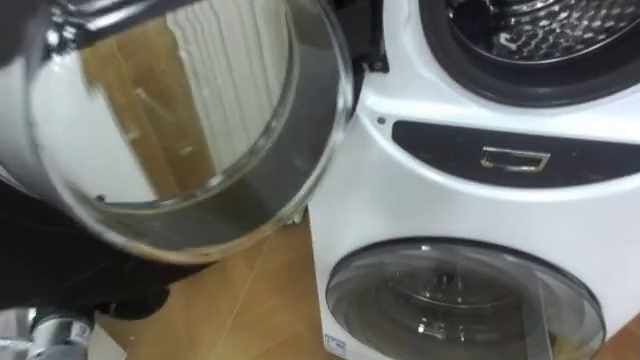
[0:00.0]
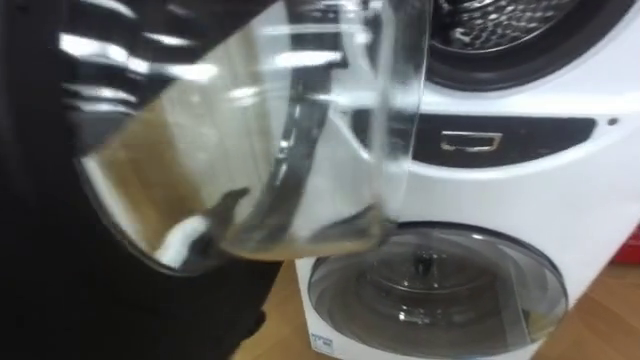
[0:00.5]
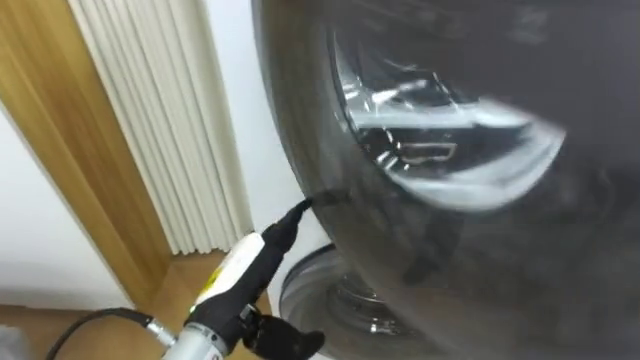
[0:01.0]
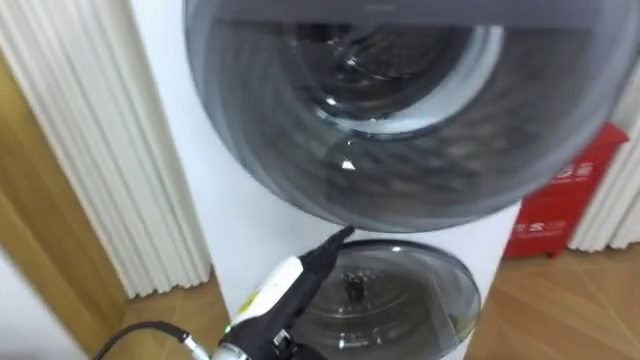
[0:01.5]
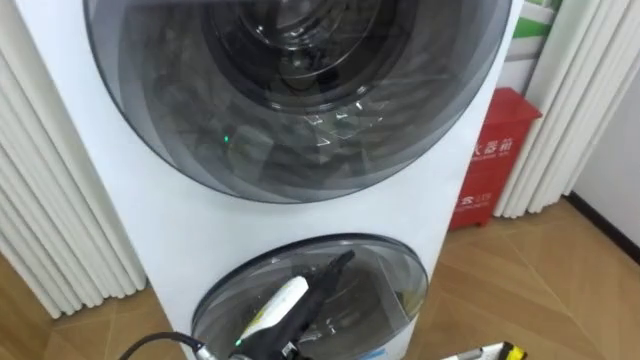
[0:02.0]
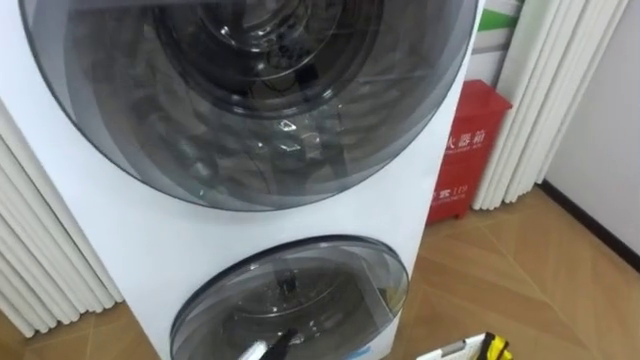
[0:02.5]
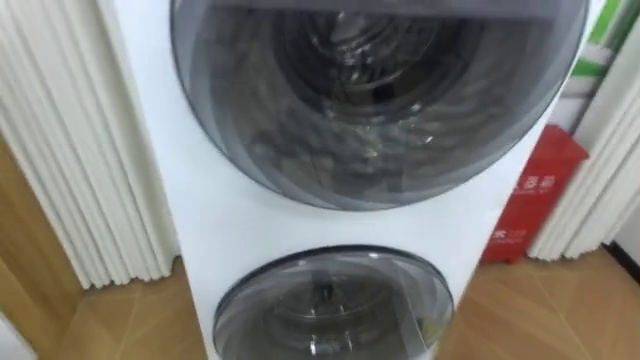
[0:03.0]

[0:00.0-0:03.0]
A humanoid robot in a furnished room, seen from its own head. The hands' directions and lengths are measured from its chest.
Task of the whole recording: Open the washing machine door, take out the yellow clothes, place them in the box on the right, and close the washing machine door.
0:00.0 to 0:01.5: The left hand shifts approximately 20 cm to the right.

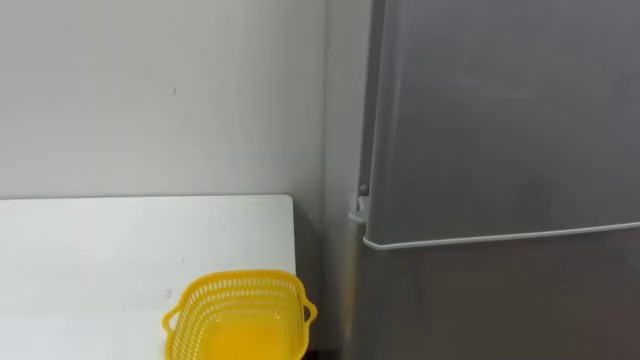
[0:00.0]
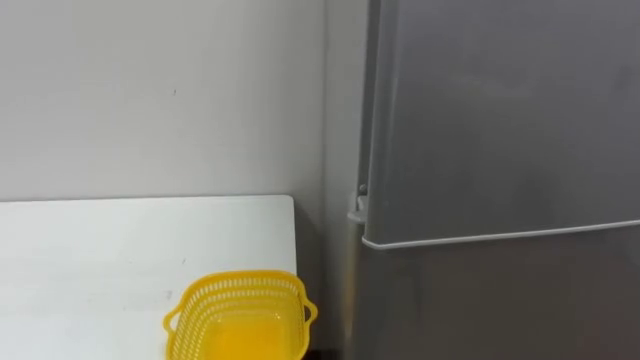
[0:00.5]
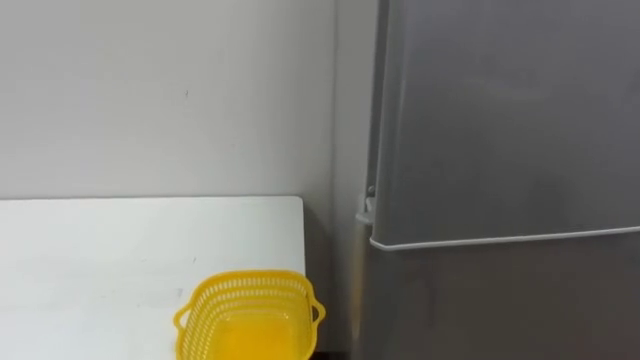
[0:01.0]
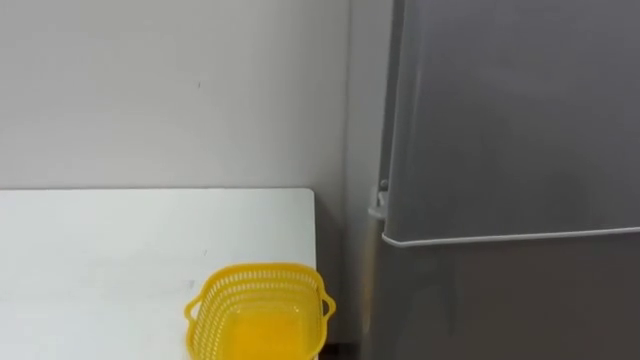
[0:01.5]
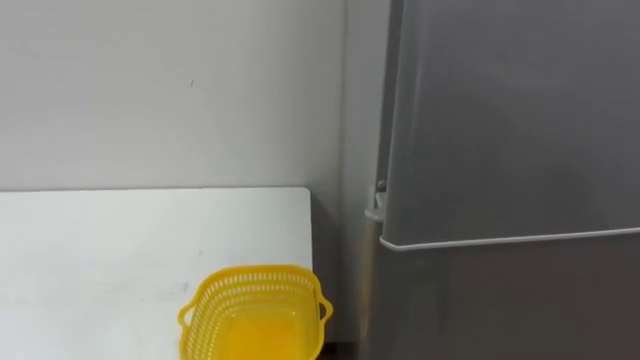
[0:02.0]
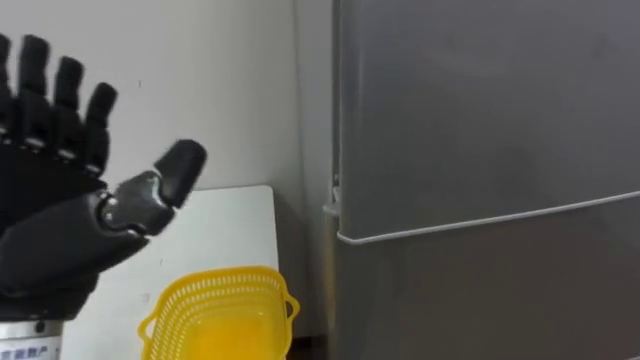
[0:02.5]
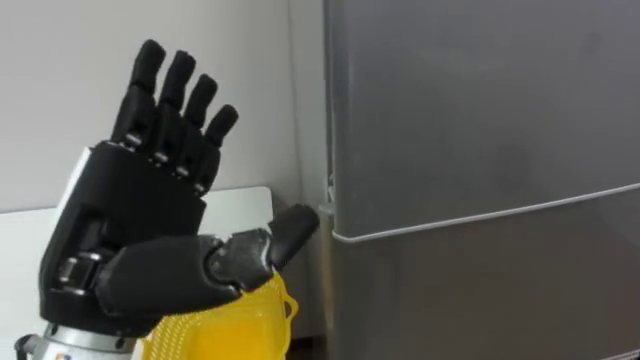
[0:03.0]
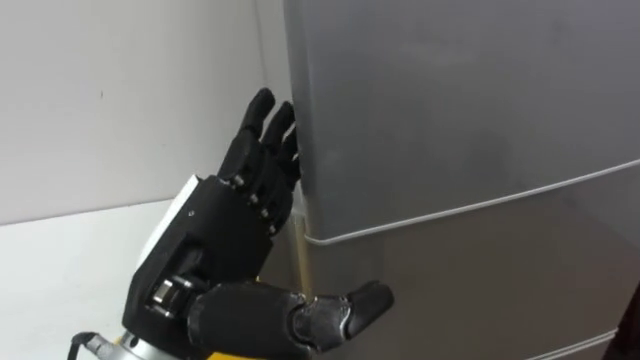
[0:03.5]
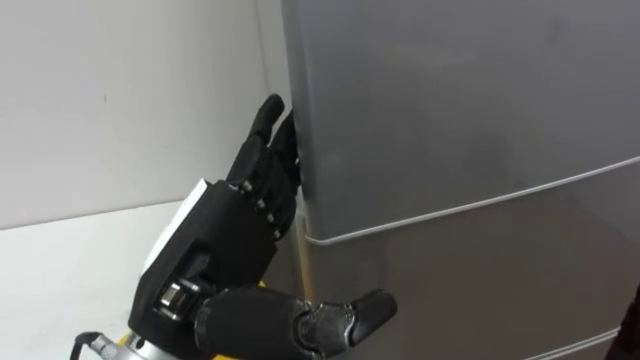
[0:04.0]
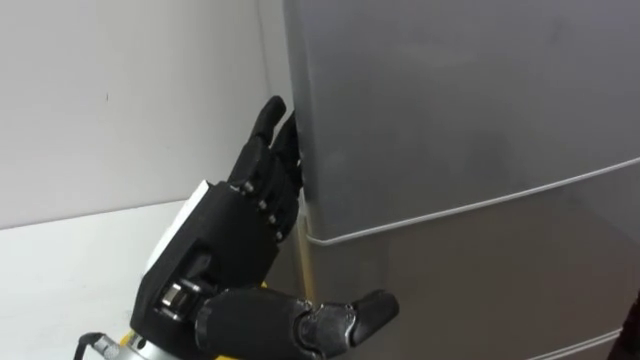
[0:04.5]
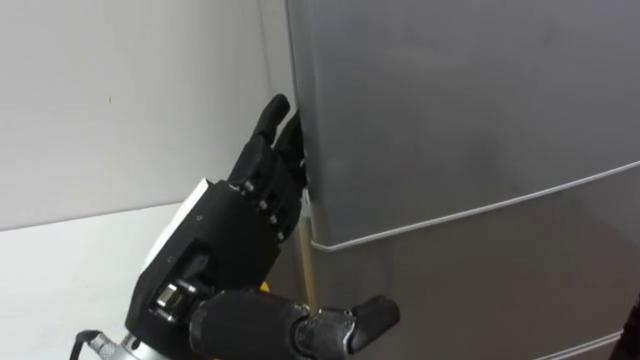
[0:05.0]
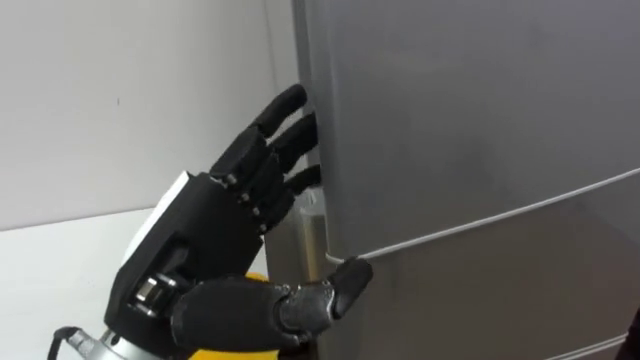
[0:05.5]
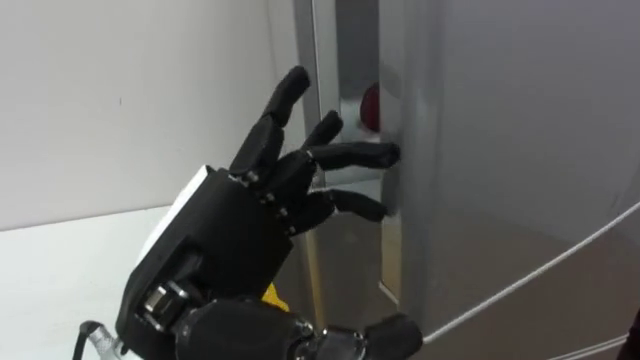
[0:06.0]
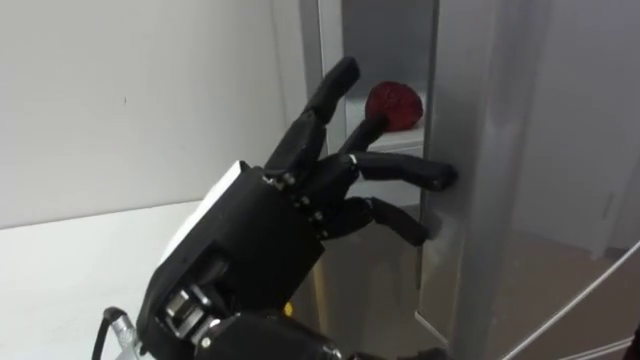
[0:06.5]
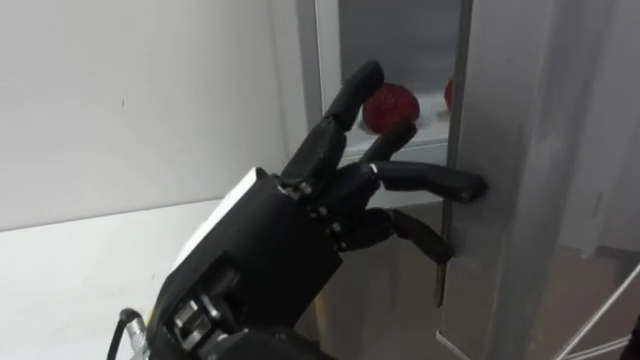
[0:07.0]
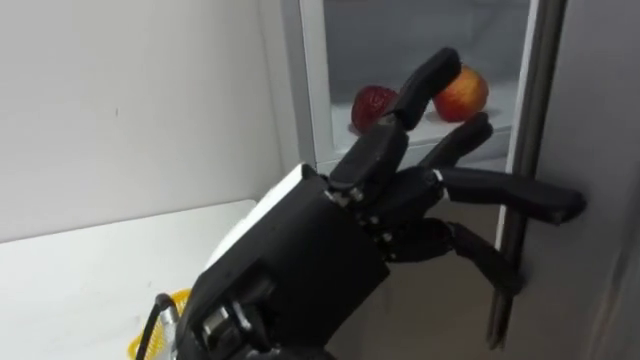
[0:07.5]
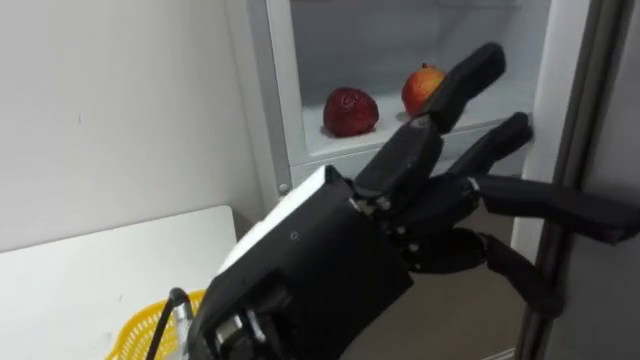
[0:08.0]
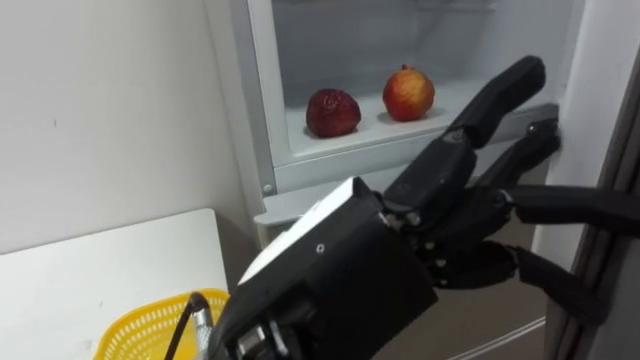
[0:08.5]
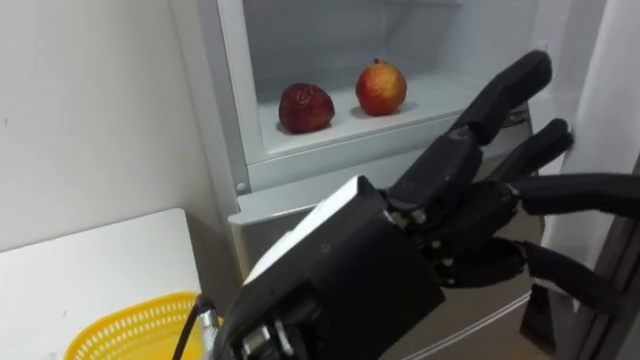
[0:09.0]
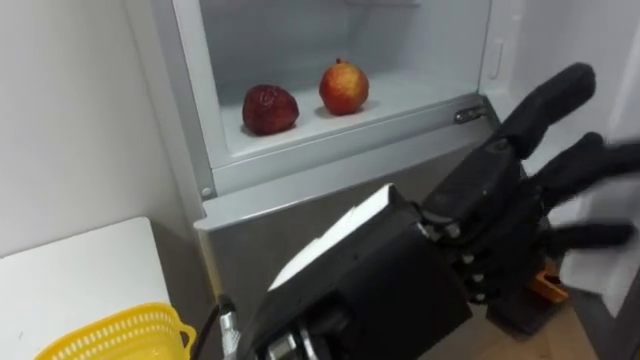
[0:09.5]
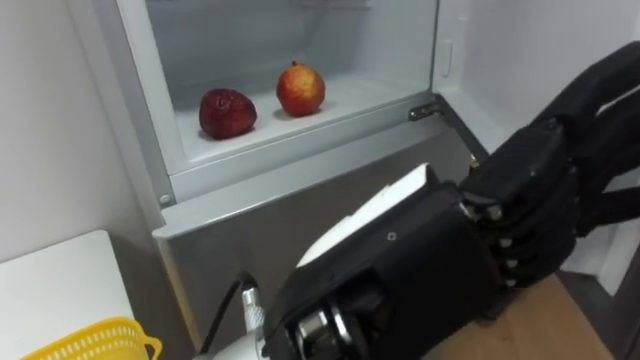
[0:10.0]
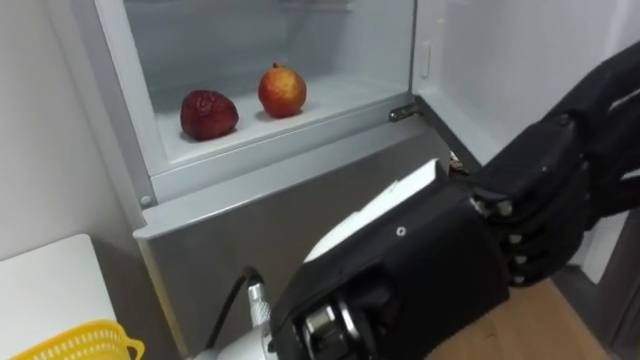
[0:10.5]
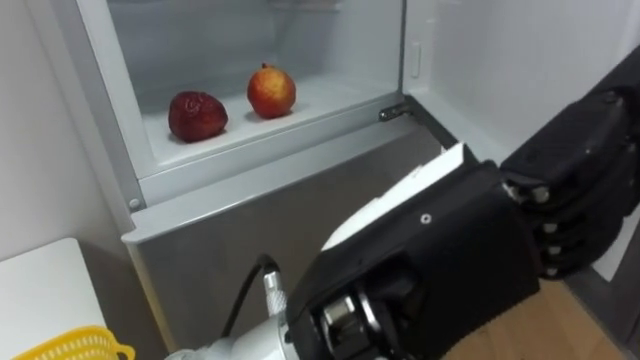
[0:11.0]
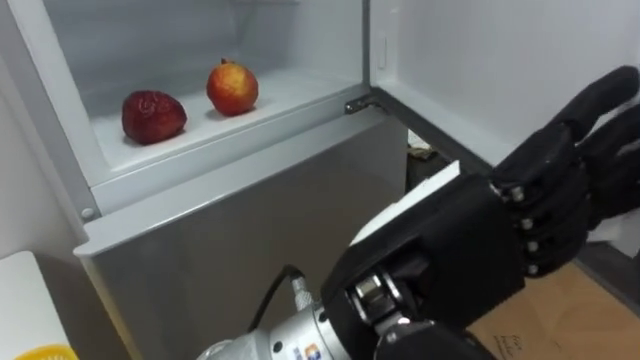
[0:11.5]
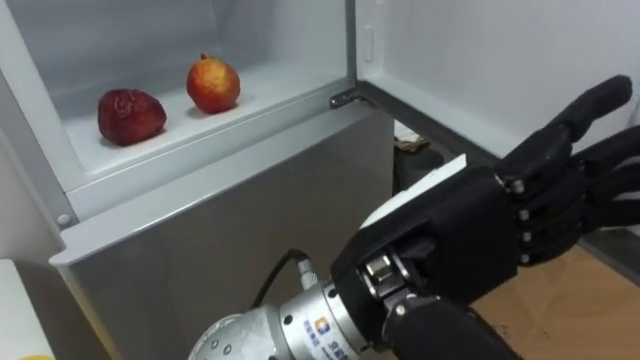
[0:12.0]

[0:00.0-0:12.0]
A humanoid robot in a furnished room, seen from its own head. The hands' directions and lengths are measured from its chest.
Task of the whole recording: Open the refrigerator door, take out the apple and the pomegranate, place them in the fruit basket on the left, and close the refrigerator door.
0:06.0 to 0:08.0: The left hand is displaced to the right by about 5 cm.
0:10.0 to 0:12.0: The left hand ends up approximately 5 cm from where it was.

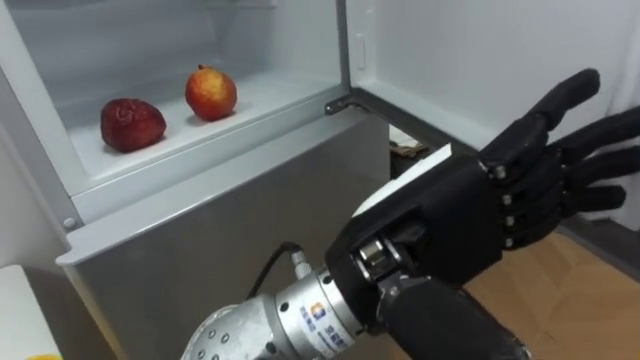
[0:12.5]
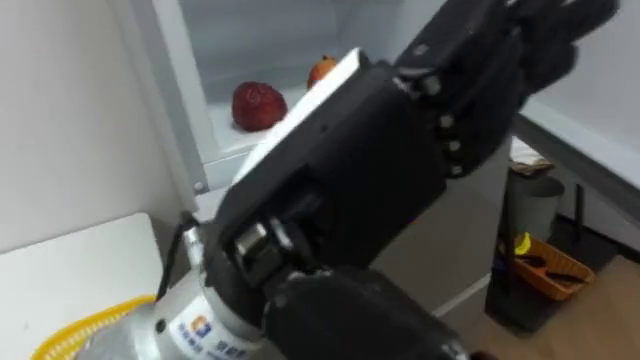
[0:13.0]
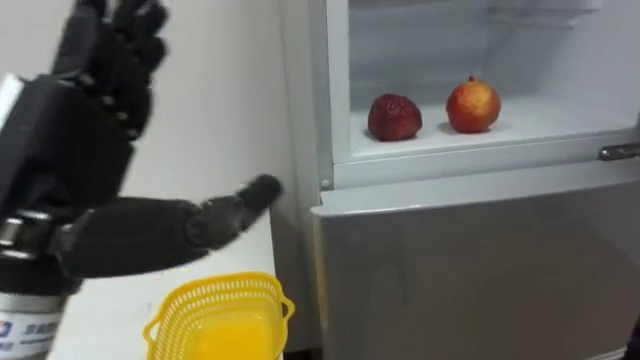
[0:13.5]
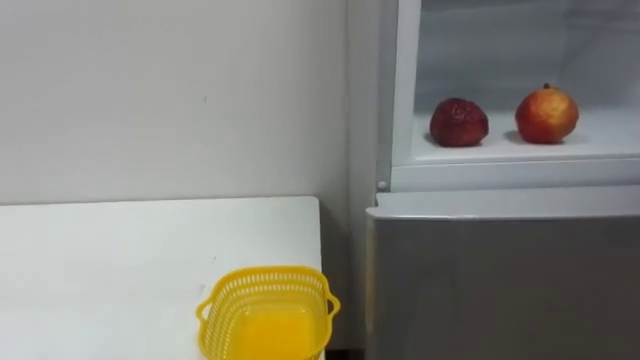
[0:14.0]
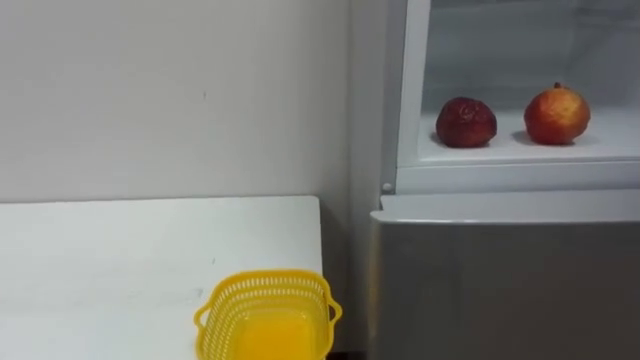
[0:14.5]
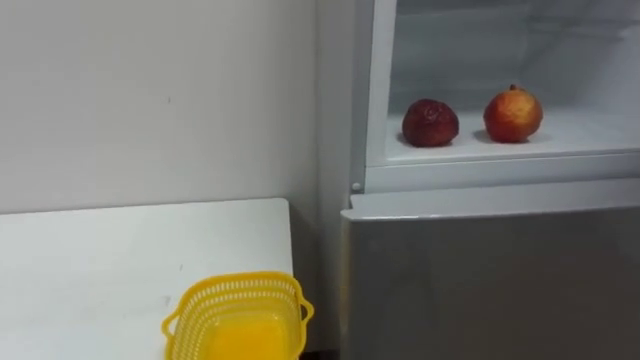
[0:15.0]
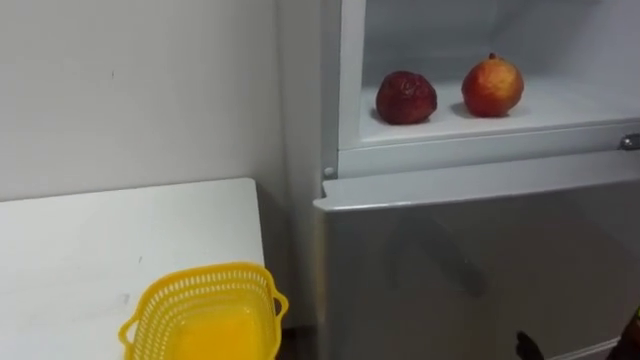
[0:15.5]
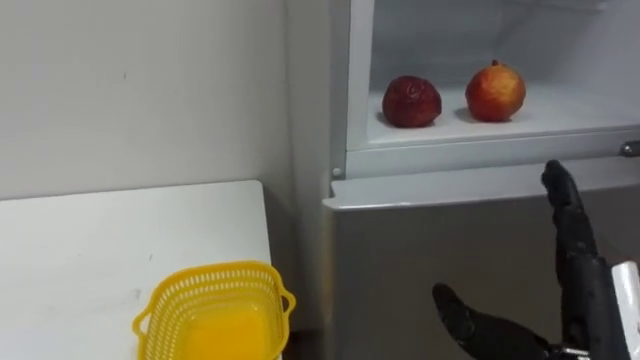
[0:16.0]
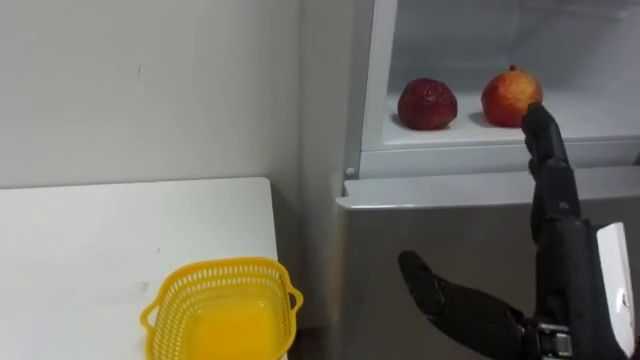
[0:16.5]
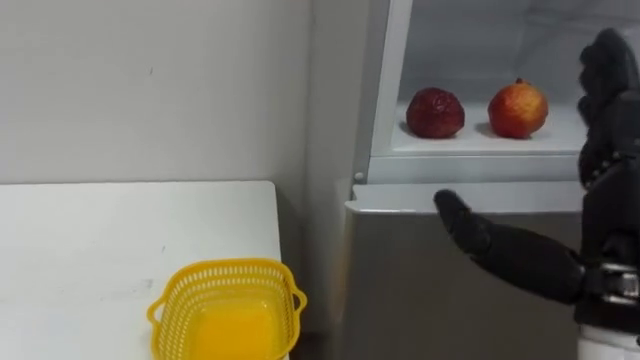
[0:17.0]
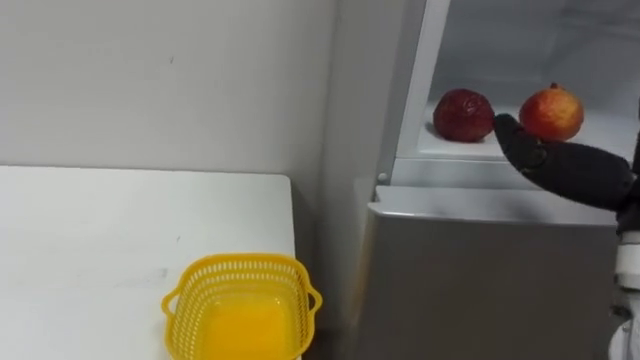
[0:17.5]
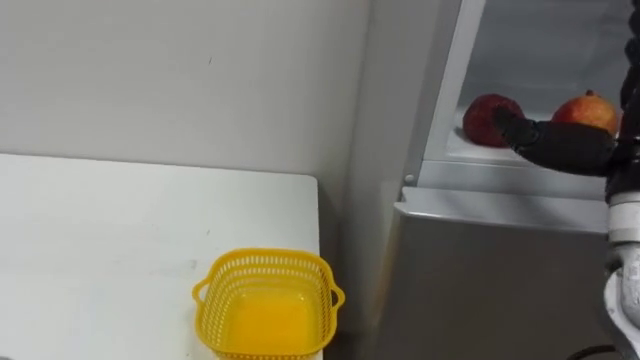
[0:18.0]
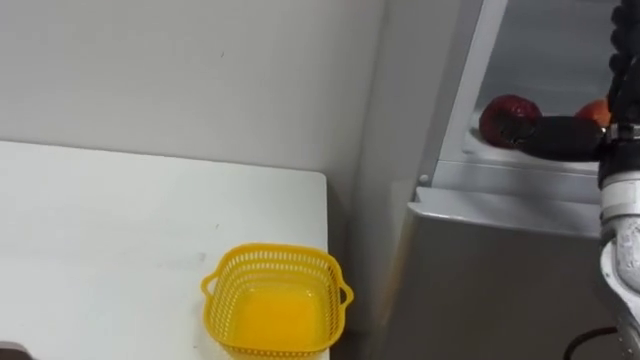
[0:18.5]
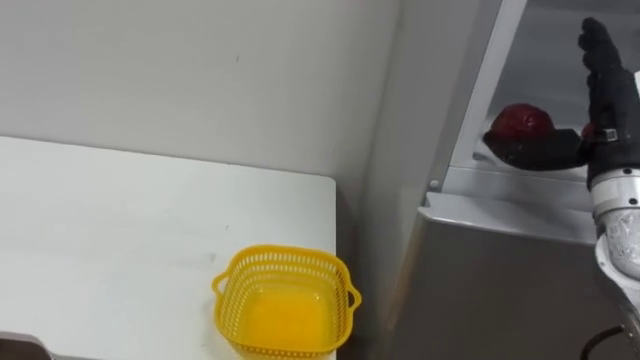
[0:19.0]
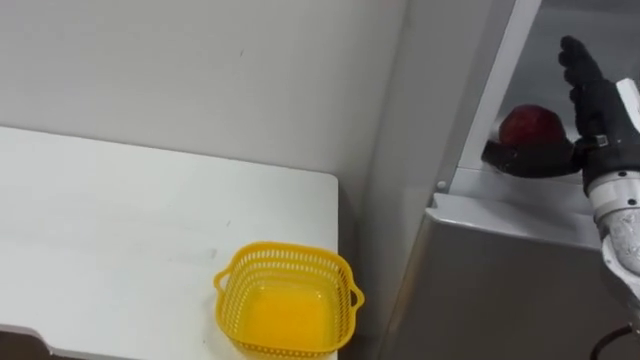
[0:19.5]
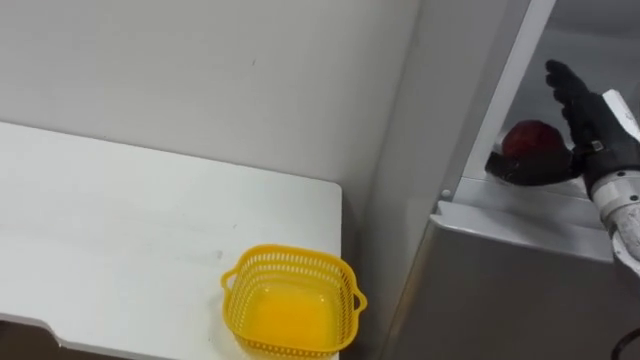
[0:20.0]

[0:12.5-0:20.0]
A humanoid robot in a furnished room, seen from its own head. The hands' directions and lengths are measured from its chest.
Task of the whole recording: Open the refrigerator door, take out the apple and the pomegranate, place them in the fruit basket on the left, and close the refrigerator door.
0:18.0 to 0:20.0: The right hand moves forward, some 10 cm.
